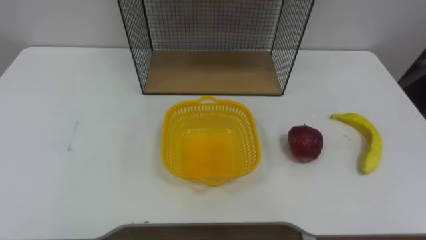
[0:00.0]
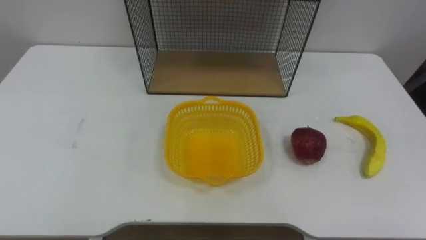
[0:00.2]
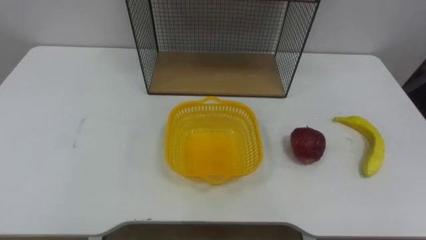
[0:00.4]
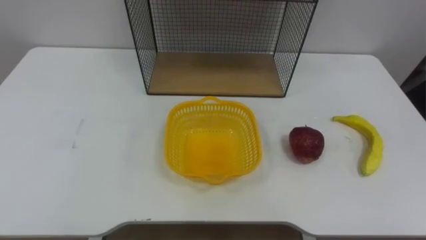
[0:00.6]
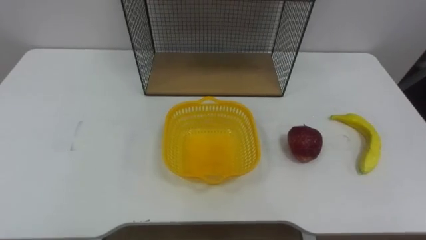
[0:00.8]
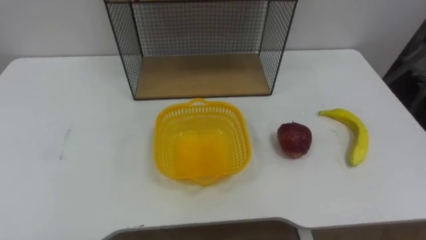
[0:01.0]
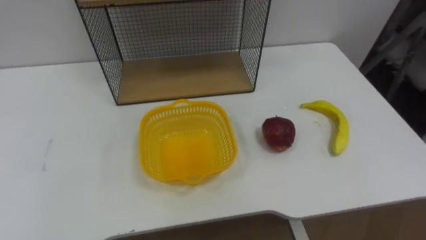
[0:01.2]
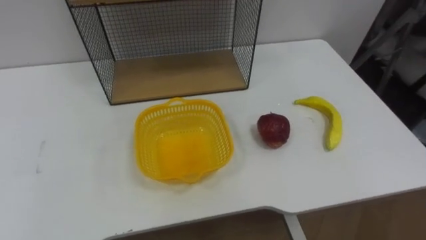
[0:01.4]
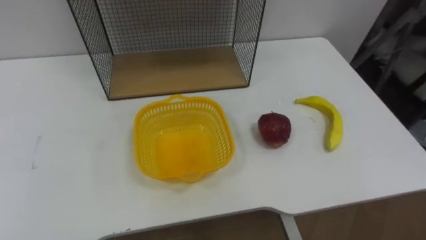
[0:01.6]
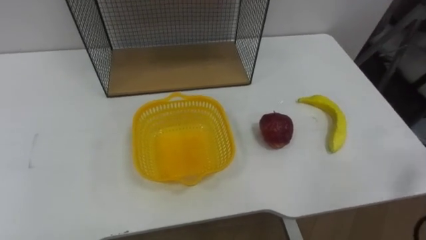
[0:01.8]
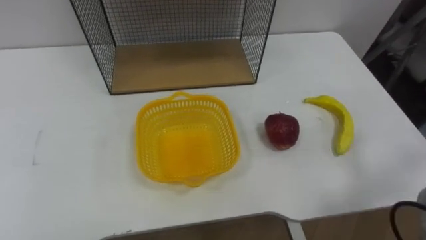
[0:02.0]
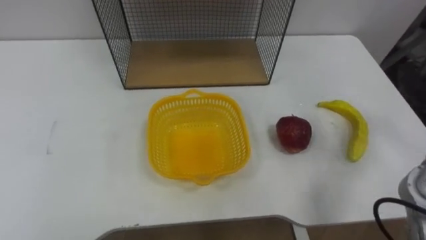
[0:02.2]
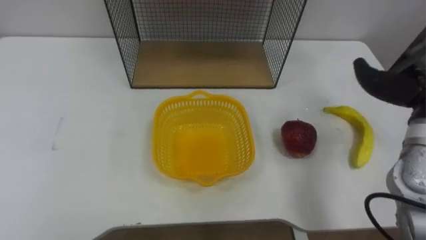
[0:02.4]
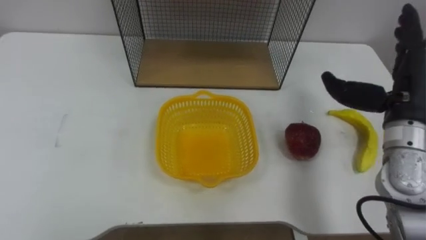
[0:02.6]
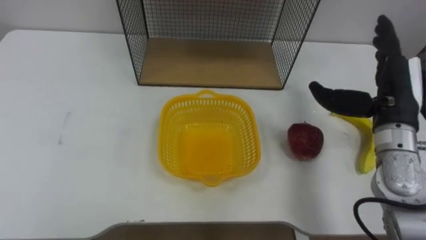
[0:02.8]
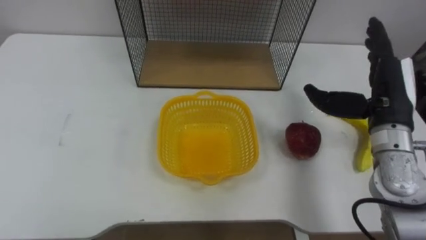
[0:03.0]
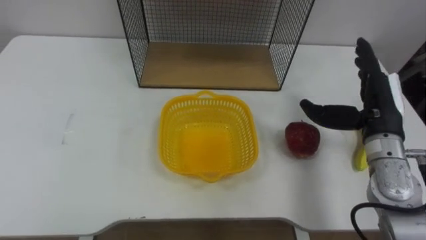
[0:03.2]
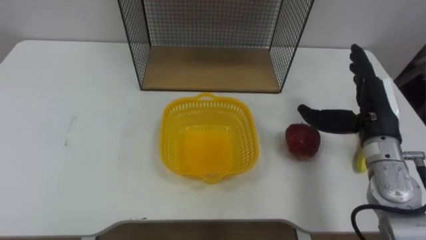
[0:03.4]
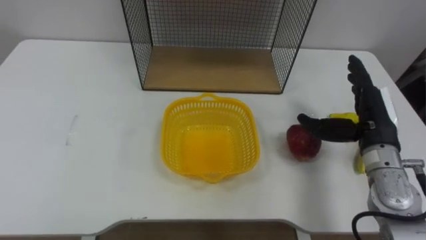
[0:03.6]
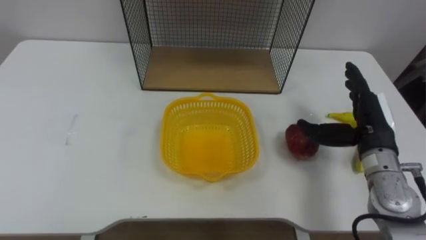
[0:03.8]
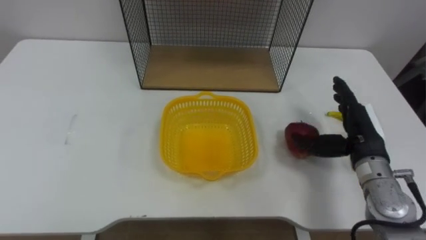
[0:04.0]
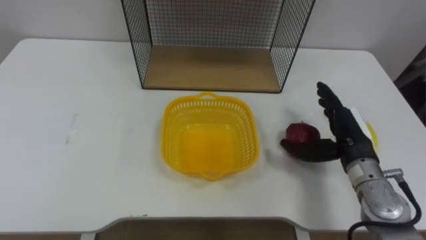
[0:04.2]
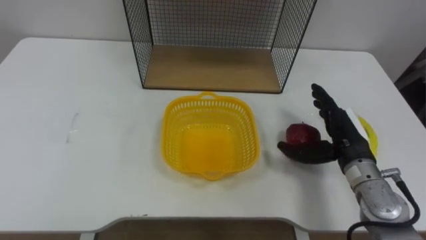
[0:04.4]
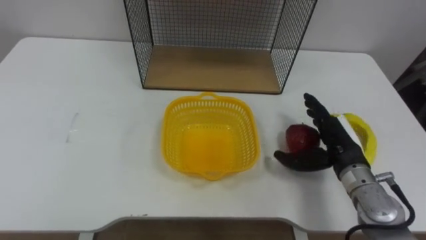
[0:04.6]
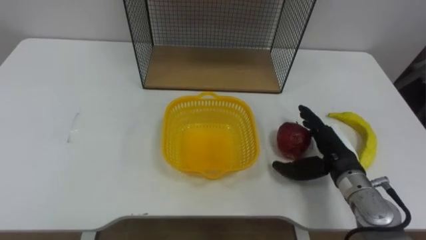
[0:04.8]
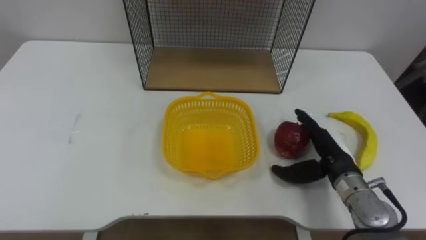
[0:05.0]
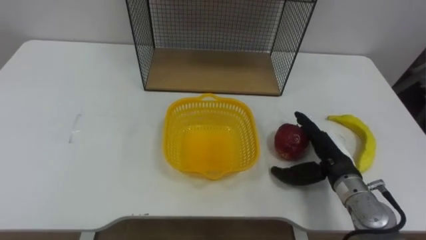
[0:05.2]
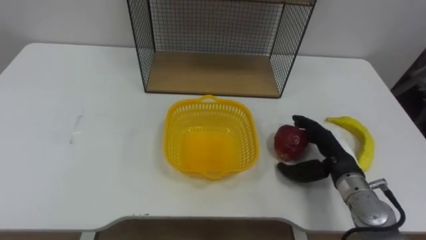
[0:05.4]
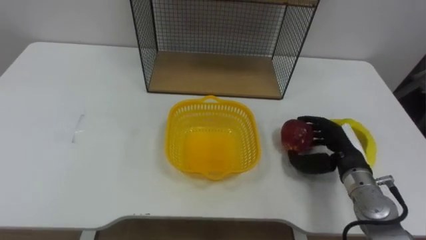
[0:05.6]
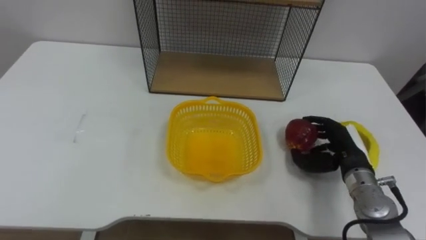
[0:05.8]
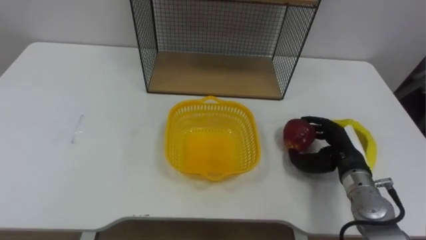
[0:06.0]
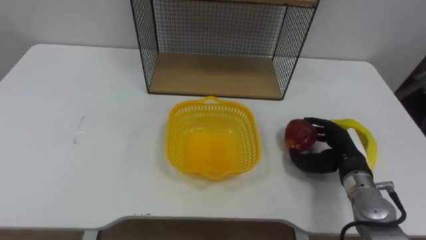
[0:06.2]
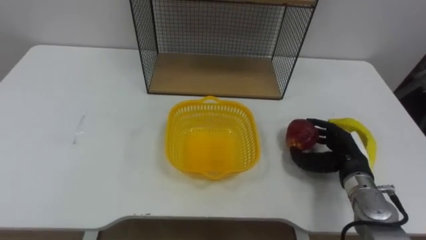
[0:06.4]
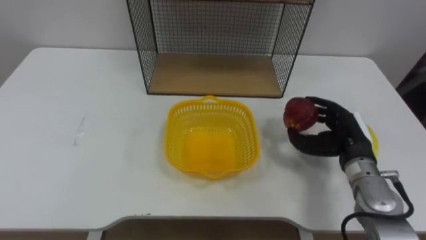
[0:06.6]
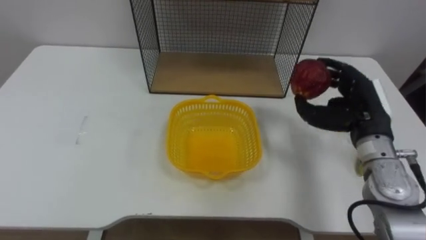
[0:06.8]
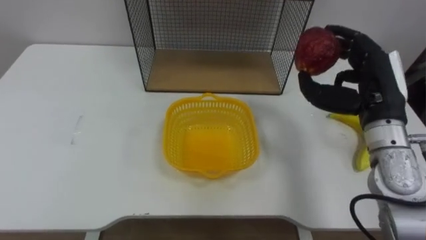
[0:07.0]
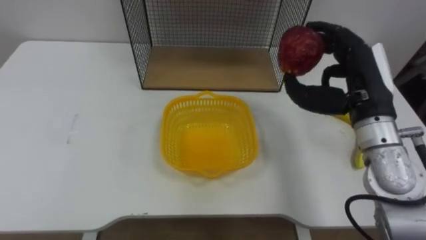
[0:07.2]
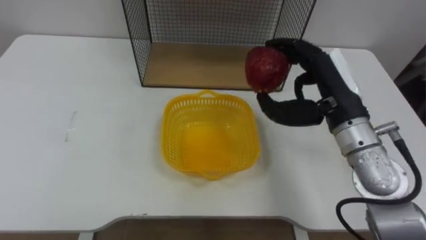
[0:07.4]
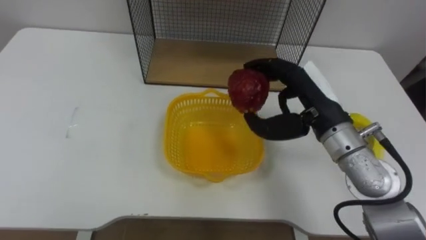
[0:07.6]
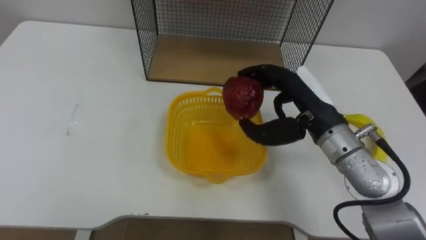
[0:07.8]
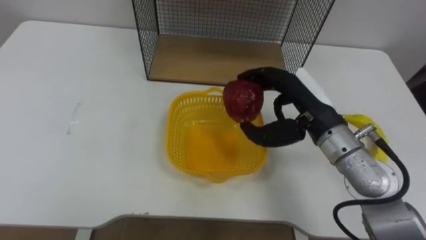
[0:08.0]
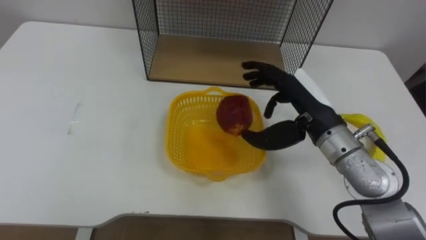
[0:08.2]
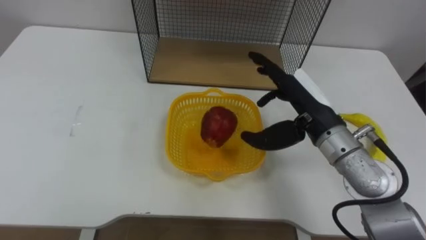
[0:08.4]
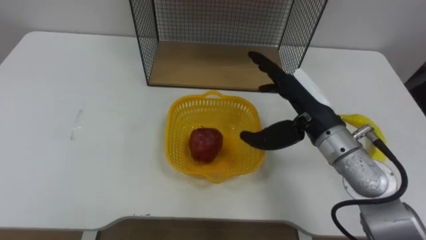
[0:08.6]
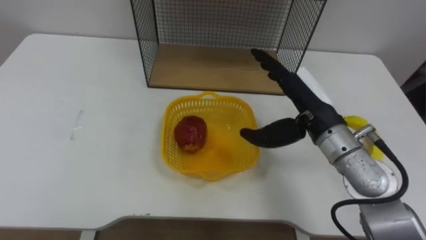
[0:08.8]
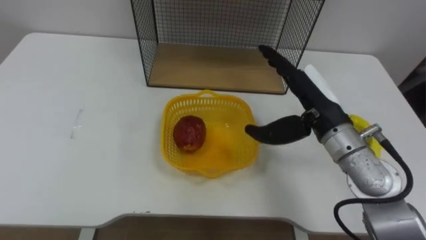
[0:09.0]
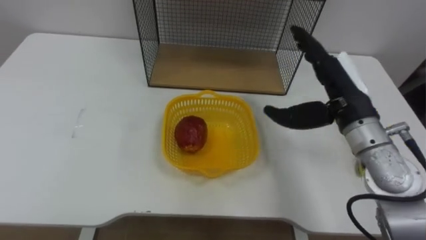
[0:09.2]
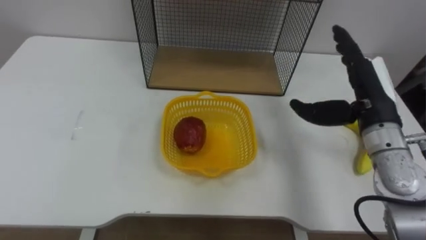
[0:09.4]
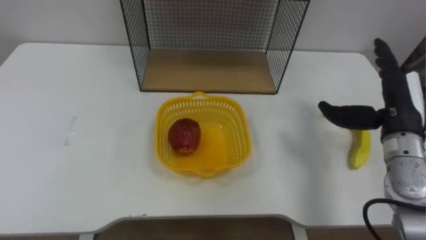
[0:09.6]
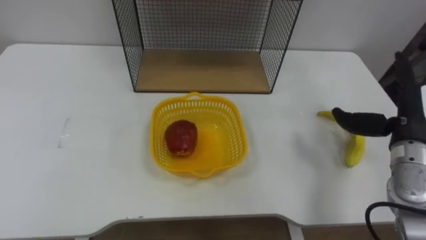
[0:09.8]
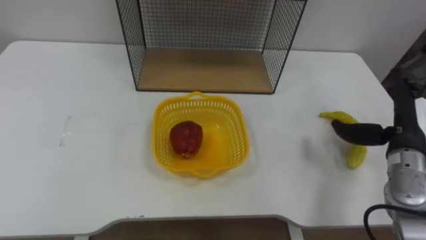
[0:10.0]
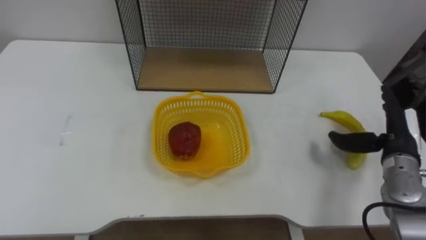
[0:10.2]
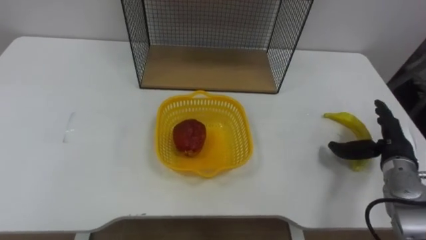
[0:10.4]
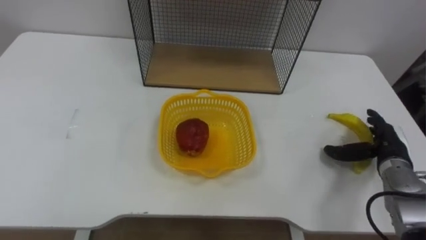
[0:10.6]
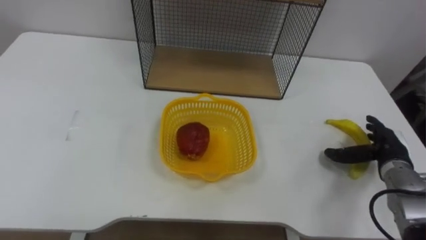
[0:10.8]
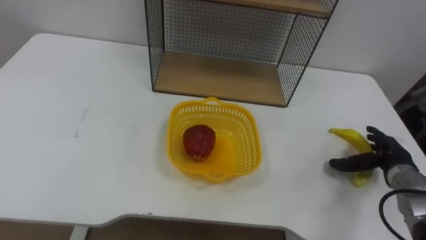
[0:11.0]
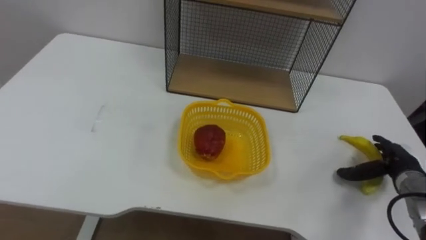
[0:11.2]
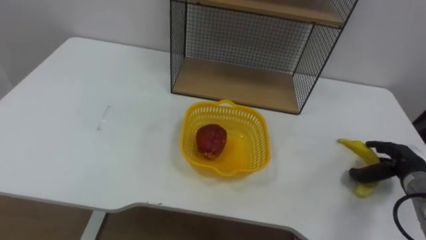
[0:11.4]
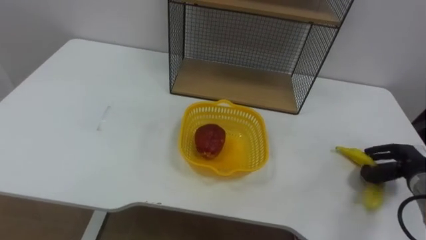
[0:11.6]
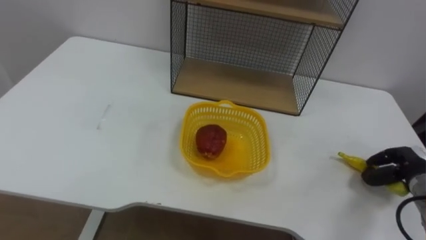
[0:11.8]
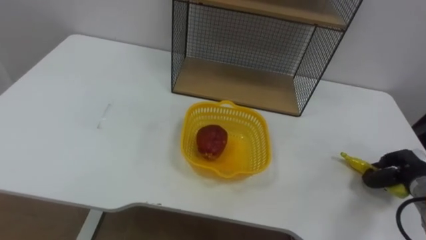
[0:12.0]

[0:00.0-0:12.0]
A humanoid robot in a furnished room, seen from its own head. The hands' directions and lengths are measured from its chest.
Task of the whole recording: Put the fruit on the table into the basket, then place the basket on the shelf.
0:03.0 to 0:04.4: The right hand moves downward, approximately 10 cm.
0:04.4 to 0:06.0: The right hand moves downward, roughly 5 cm, and closes up.
0:06.0 to 0:07.6: The right hand heads upward and to the left, covering roughly 20 cm.
0:07.6 to 0:09.0: The right hand opens its fingers.
0:09.0 to 0:10.4: The right hand shifts approximately 20 cm to the right and downward.
0:10.4 to 0:12.0: The right hand is displaced downward and to the right by roughly 10 cm, and closes its fingers.

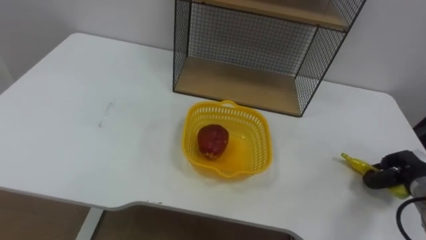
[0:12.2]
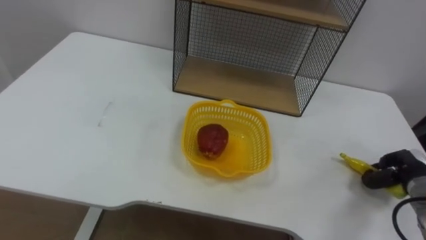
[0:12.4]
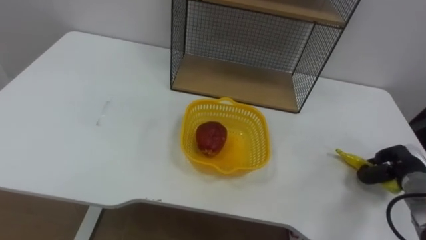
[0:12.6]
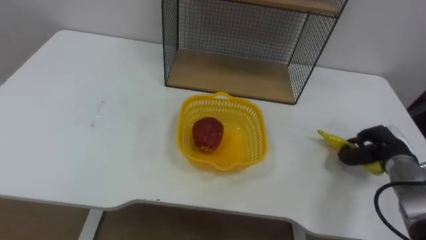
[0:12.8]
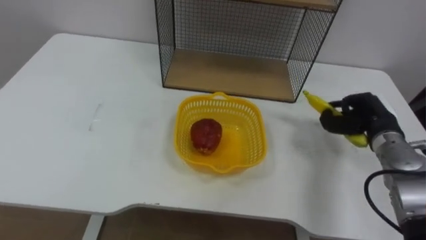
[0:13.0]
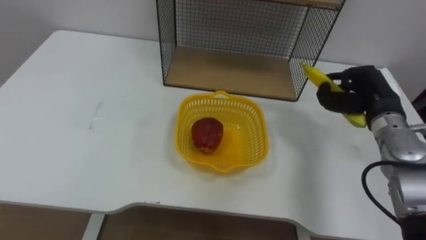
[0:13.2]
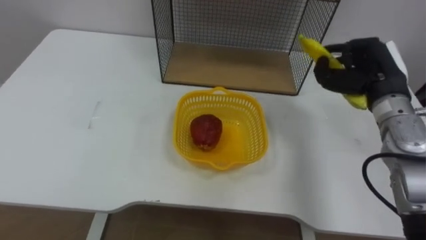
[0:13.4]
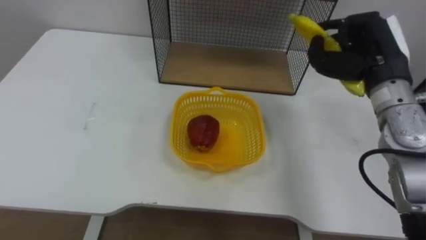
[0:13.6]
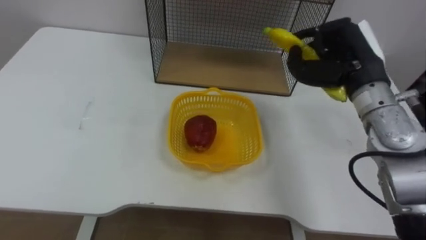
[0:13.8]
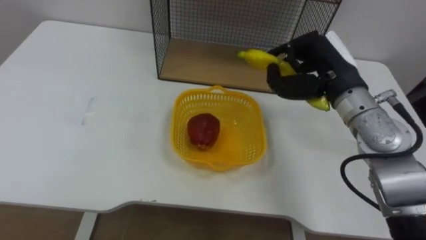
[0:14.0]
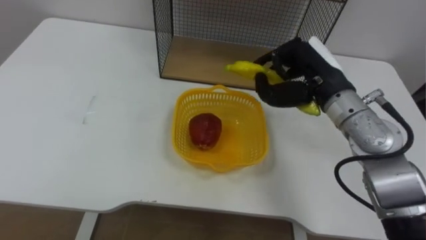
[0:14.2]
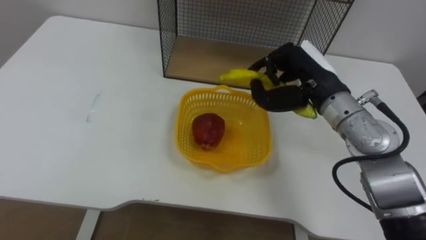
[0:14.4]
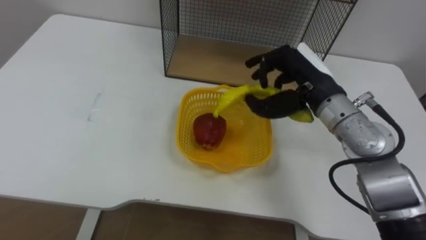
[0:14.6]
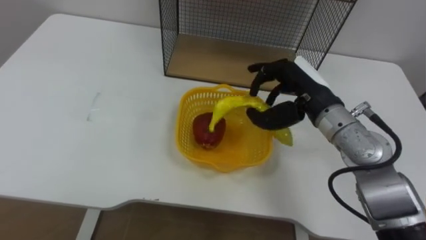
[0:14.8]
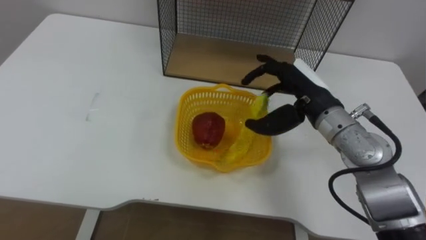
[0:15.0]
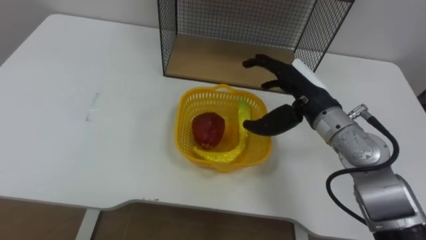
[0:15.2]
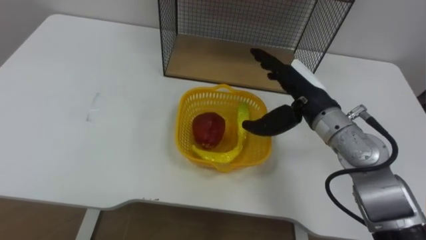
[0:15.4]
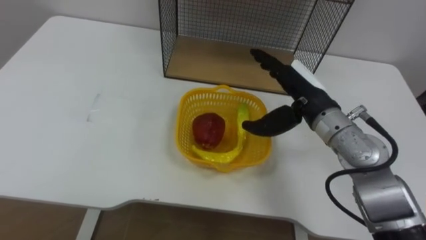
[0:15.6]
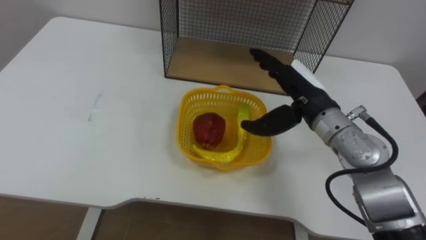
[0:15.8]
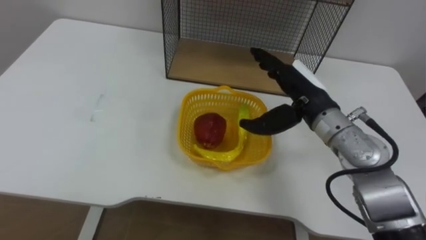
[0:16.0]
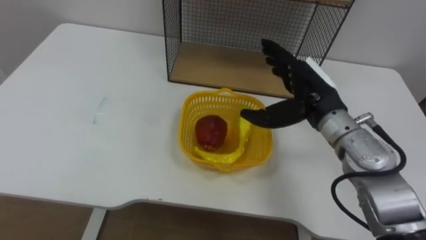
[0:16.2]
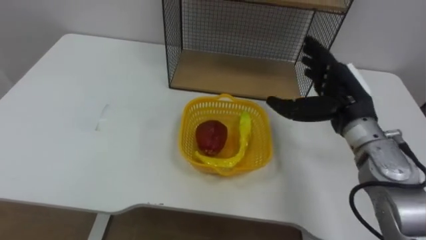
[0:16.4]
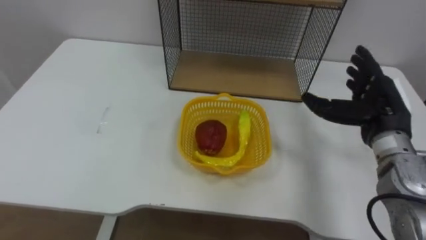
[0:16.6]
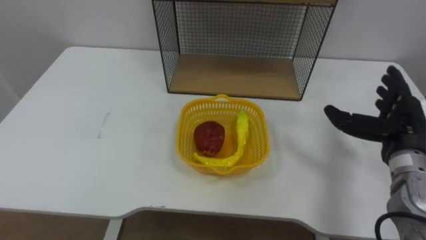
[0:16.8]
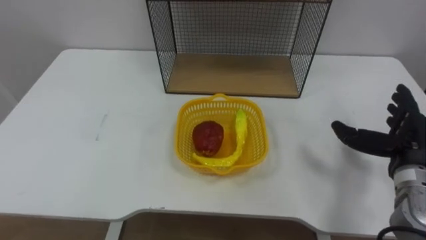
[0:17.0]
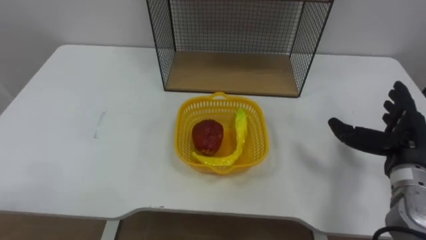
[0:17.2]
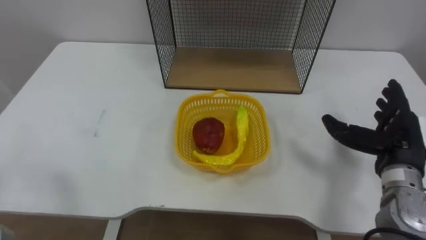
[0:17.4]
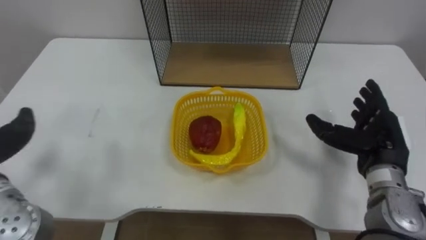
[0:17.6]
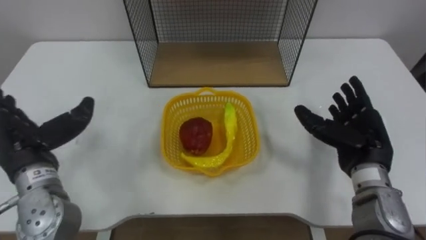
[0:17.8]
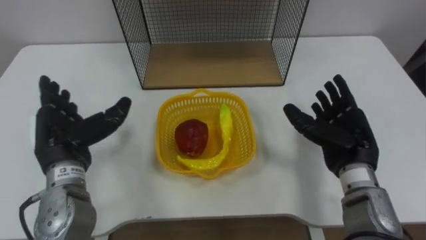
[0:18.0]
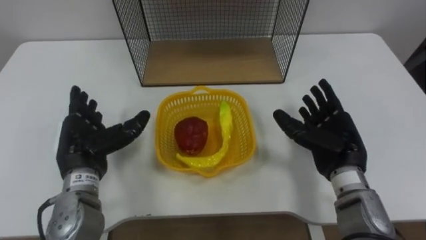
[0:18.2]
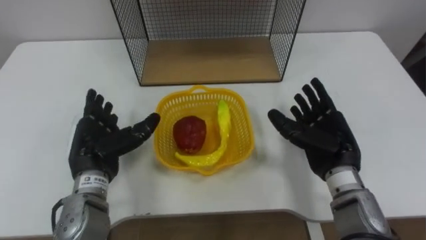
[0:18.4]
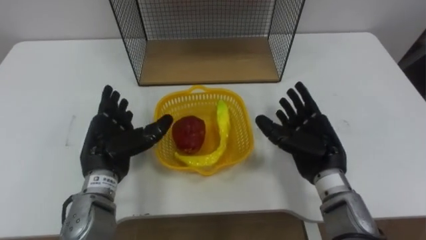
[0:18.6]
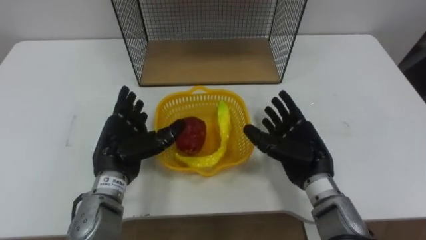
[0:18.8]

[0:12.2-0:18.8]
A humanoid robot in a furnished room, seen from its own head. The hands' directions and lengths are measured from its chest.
Task of the whole recording: Put the fruit on the table into the basket, then place the basket on the shelf.
0:12.2 to 0:13.8: The right hand travels upward, to the left and forward by roughly 30 cm.
0:13.8 to 0:15.4: The right hand is displaced to the left by approximately 5 cm, and opens its fingers.
0:15.4 to 0:17.2: The right hand shifts about 20 cm to the right and backward.
0:17.2 to 0:18.8: The right hand heads to the left, covering approximately 15 cm.
